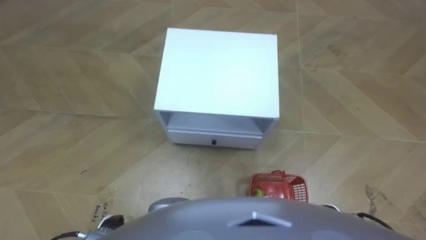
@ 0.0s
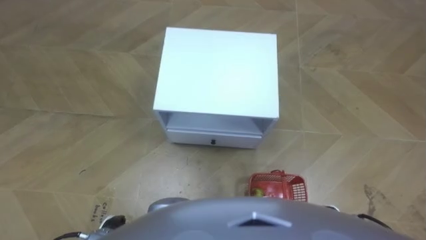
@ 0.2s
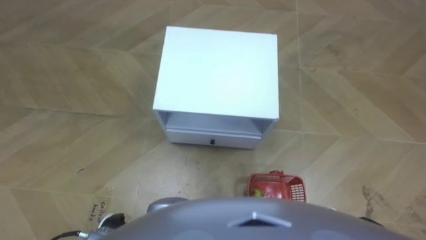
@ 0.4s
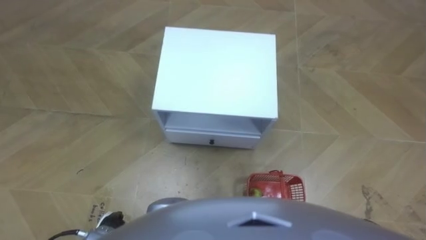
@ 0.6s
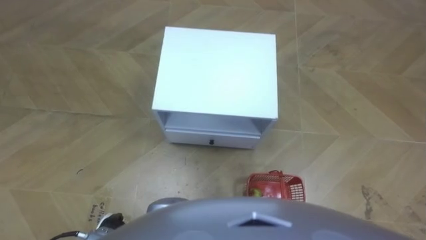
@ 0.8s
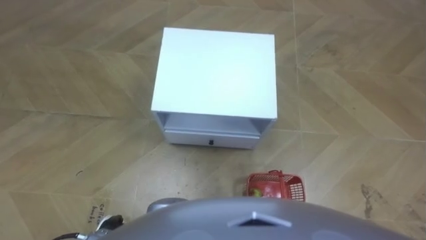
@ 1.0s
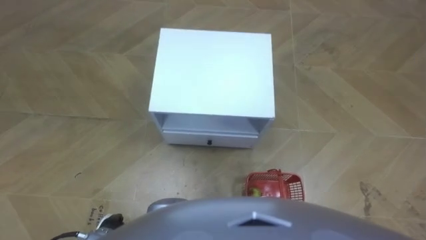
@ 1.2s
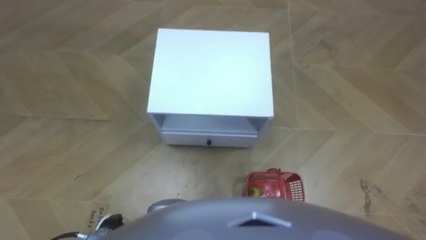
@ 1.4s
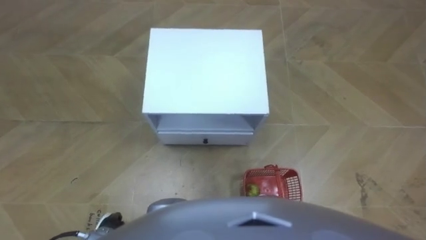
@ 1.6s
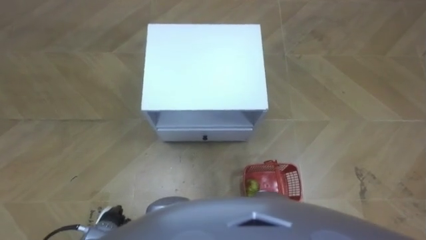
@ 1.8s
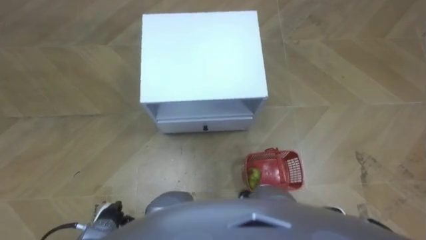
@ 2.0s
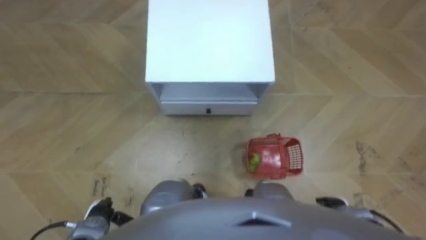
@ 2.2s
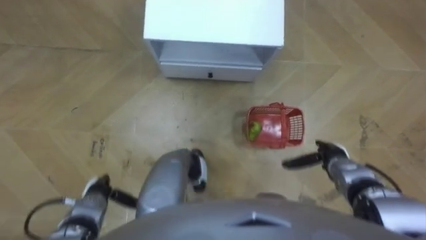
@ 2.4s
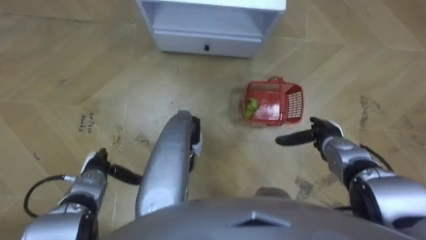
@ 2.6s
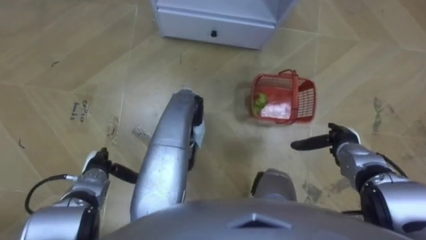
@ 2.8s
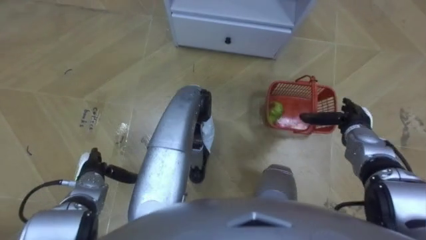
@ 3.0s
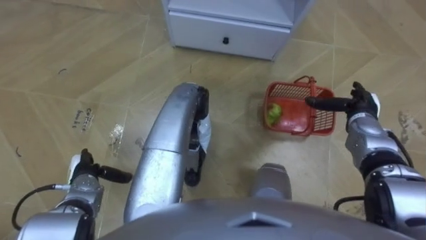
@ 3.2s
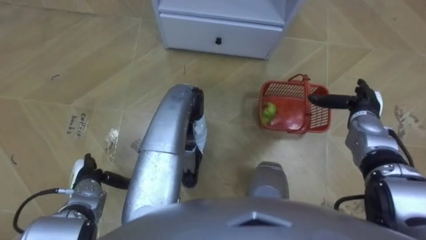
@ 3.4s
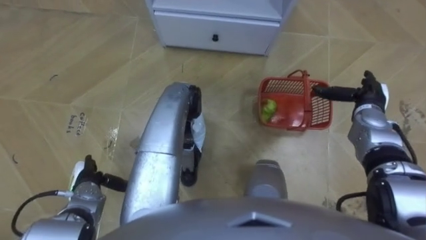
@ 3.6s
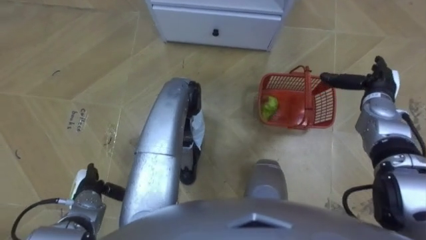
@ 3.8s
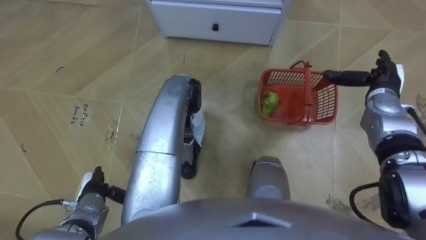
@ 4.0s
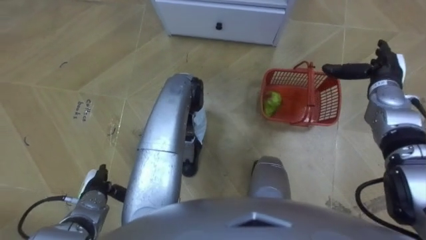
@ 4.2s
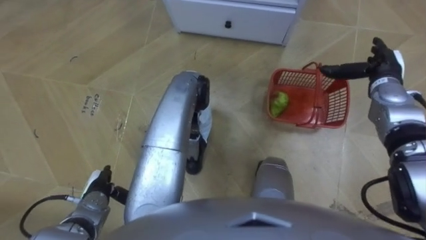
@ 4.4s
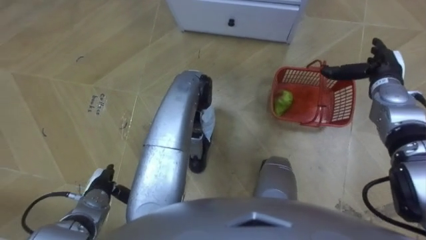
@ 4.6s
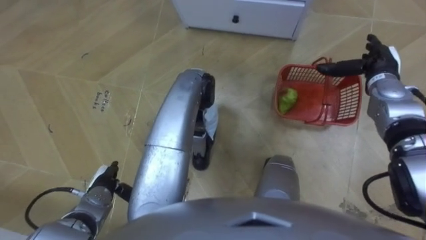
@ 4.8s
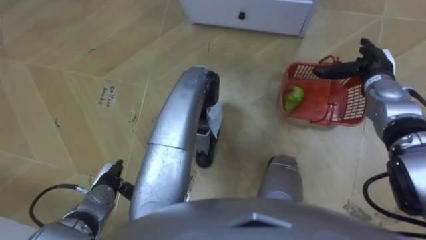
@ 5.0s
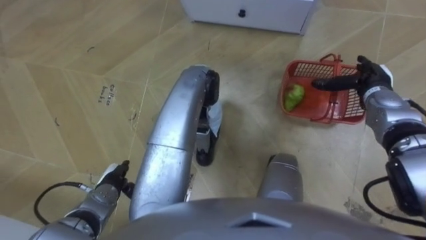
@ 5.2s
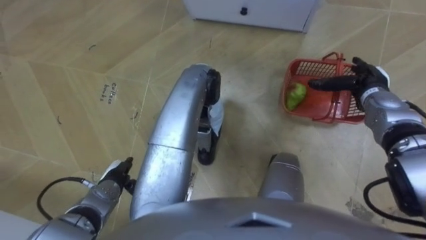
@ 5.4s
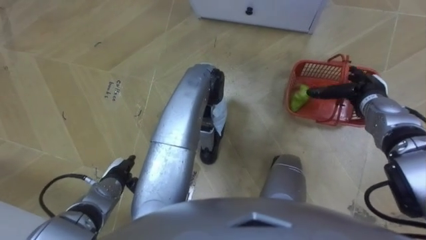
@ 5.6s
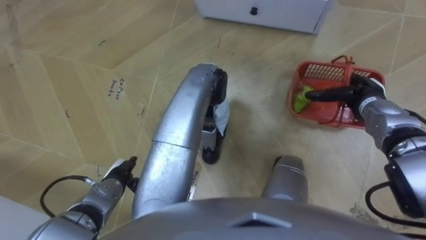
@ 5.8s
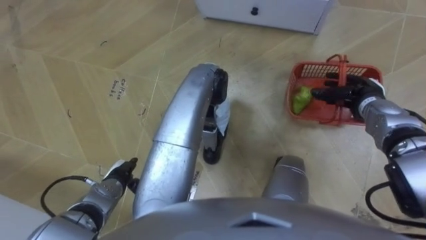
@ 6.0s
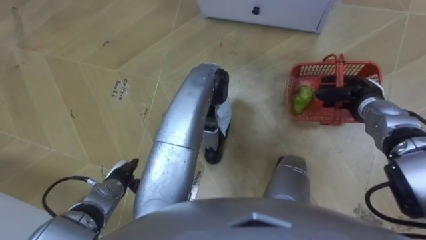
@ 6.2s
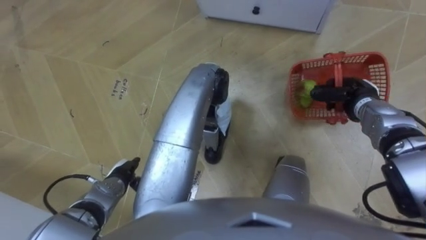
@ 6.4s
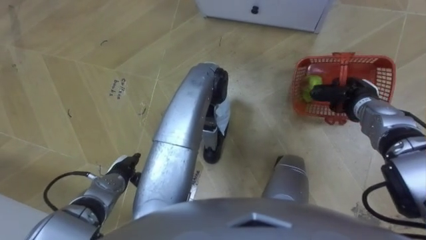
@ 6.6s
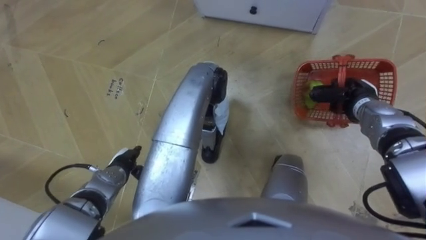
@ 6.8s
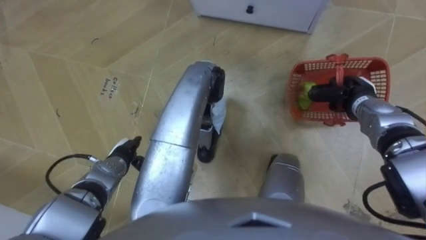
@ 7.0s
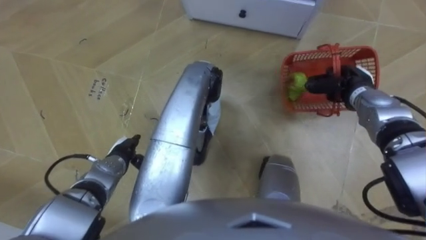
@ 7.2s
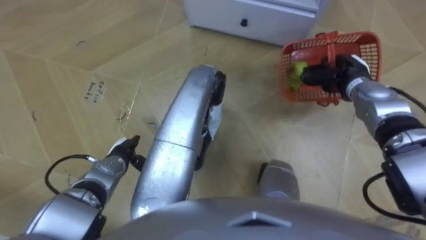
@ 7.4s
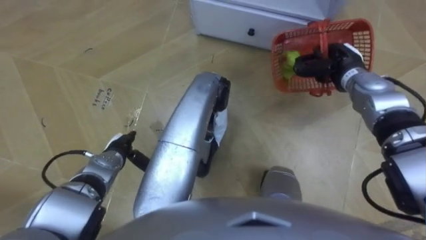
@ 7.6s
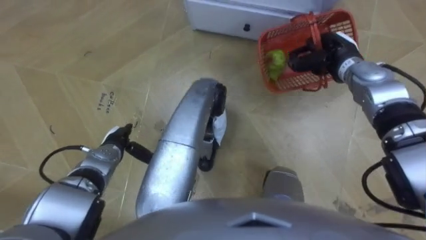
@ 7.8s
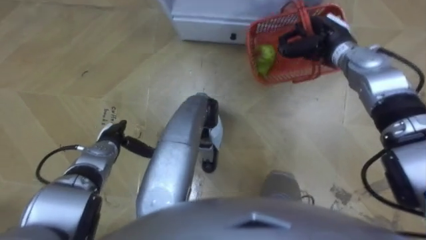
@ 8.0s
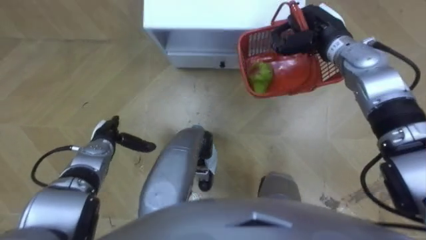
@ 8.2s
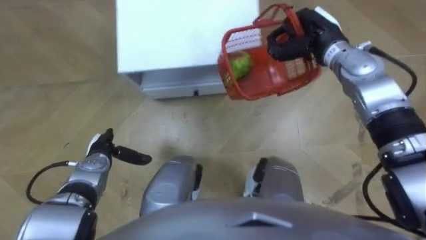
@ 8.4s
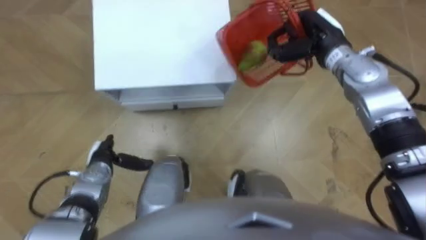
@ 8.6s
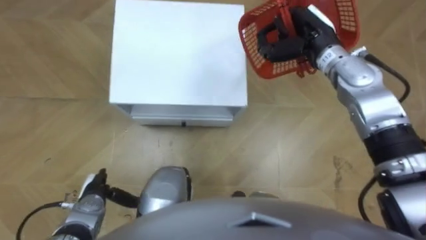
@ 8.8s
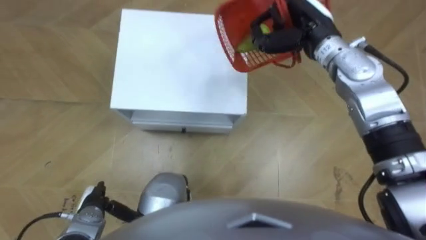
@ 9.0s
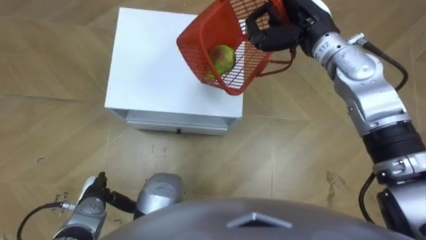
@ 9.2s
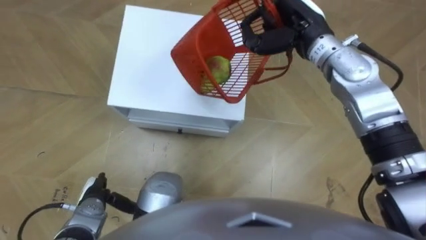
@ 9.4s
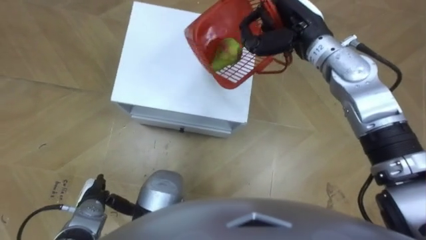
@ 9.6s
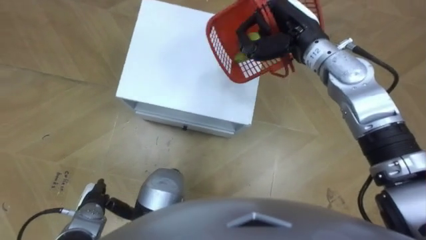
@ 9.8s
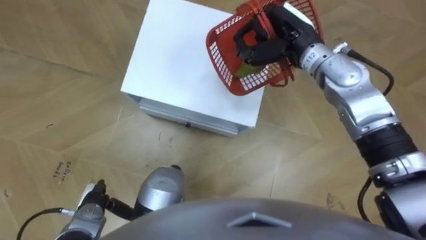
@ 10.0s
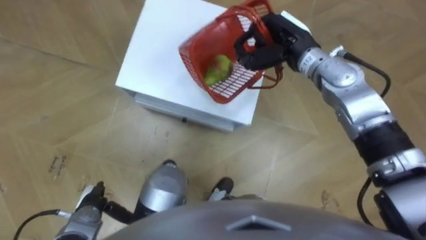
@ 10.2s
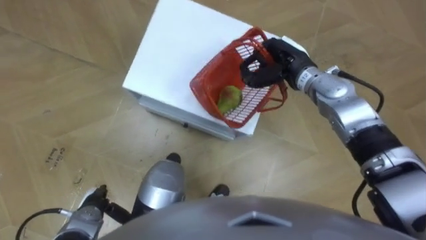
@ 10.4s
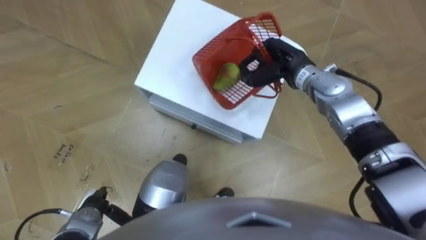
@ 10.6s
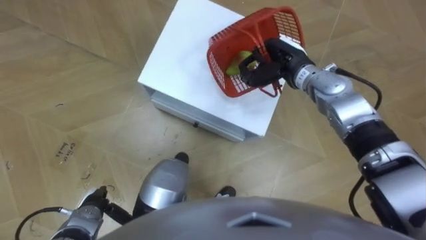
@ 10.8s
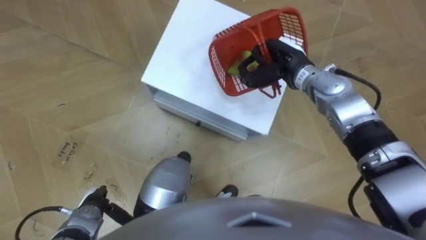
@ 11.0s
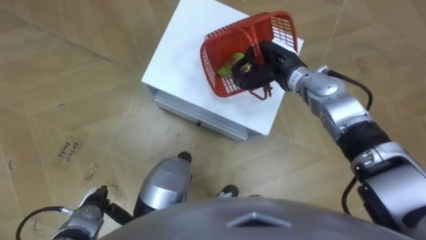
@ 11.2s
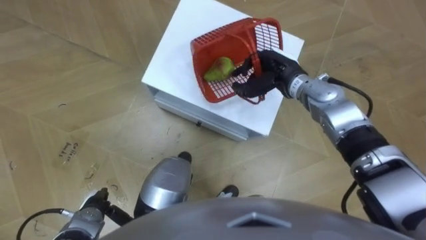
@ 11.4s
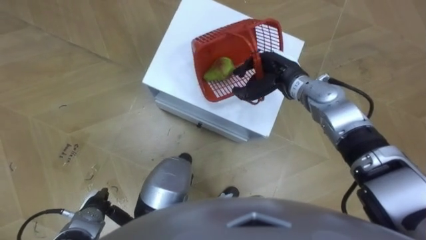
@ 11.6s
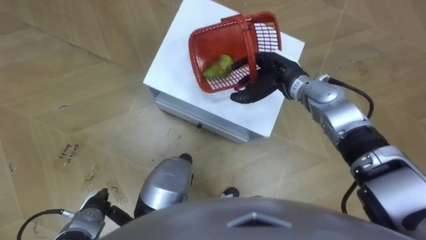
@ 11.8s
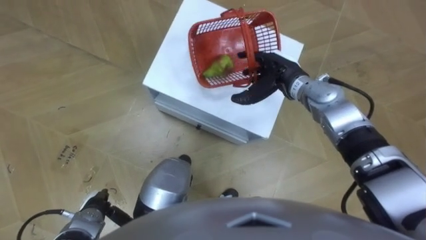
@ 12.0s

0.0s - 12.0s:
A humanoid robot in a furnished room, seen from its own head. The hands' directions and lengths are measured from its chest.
Task of the whole recording: Pick up the fruit basket from the floor and place it on the cabinet.
1.6s - 3.0s: The right hand travels forward by approximately 25 cm; the left hand shifts about 15 cm forward.
3.0s - 4.4s: The left hand changes place by about 5 cm, while the right hand goes approximately 10 cm forward and upward.
4.4s - 6.0s: The right hand ends up approximately 5 cm from where it was, and closes its fingers.
6.0s - 7.6s: The left hand goes some 5 cm forward. The right hand travels forward and to the left by about 10 cm, and closes up.
7.6s - 9.0s: The robot rotates some 15 degrees to its right. The left hand goes about 15 cm backward and to the left. The right hand is displaced upward and to the left by approximately 15 cm.
9.0s - 10.4s: The right hand goes roughly 5 cm downward.
10.4s - 12.0s: The right hand opens its fingers.

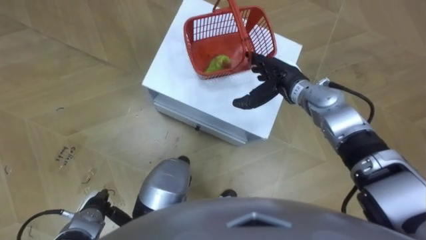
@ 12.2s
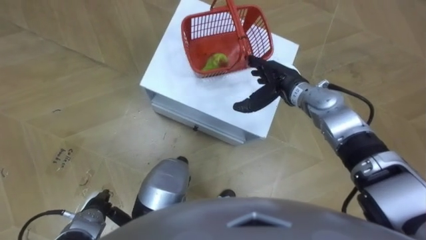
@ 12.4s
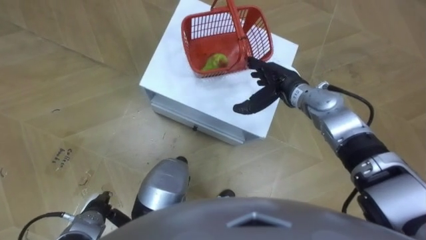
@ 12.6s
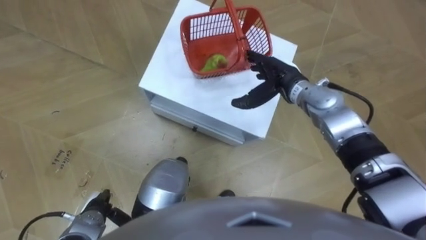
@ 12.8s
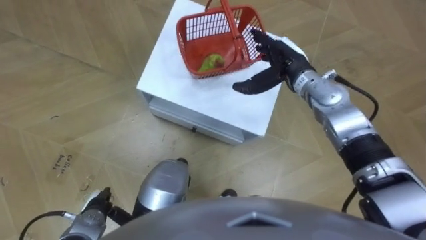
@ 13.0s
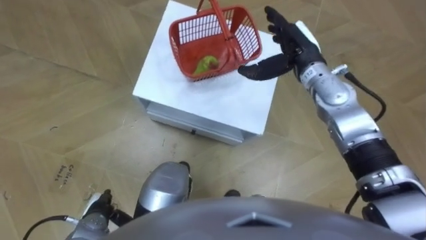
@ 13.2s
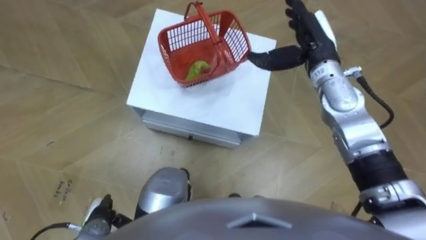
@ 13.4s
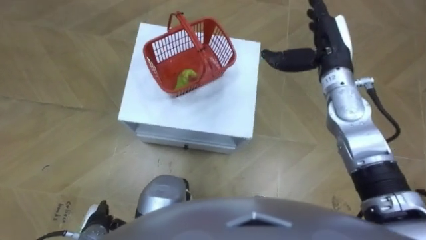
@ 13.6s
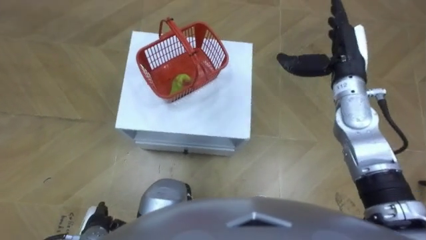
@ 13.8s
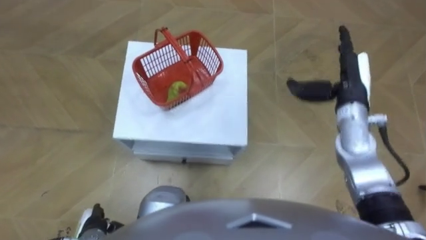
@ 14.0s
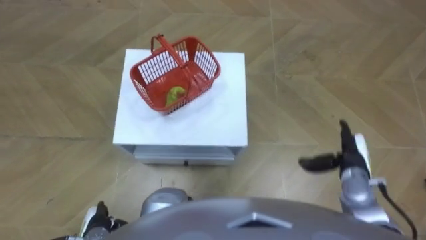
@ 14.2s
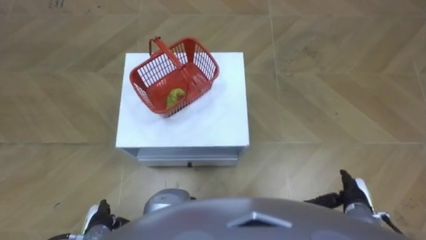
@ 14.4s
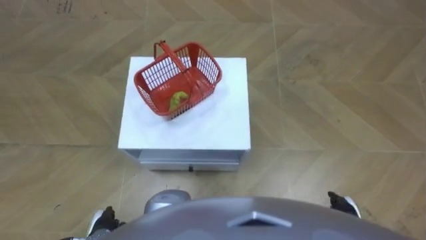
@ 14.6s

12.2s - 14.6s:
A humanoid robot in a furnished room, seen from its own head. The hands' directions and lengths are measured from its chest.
Task of the whole recording: Pick up the fruit basket from the floor and place it on the cabinet.
12.2s - 13.4s: The right hand is displaced upward by approximately 10 cm.
13.4s - 14.6s: The right hand is displaced backward and downward by about 40 cm.

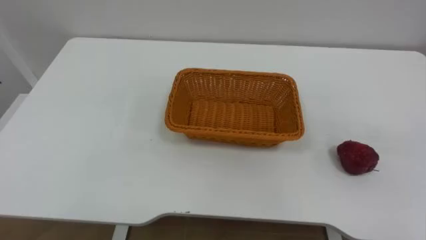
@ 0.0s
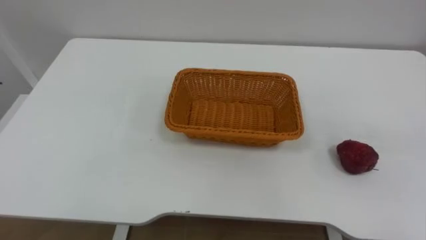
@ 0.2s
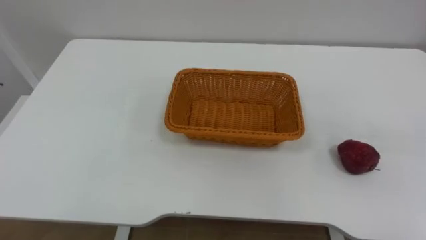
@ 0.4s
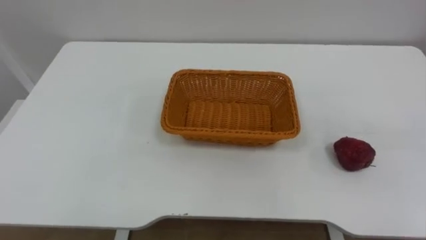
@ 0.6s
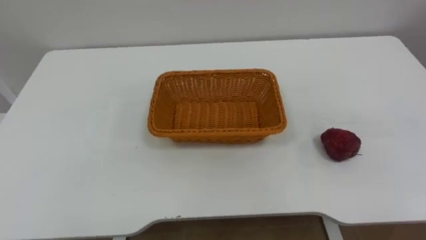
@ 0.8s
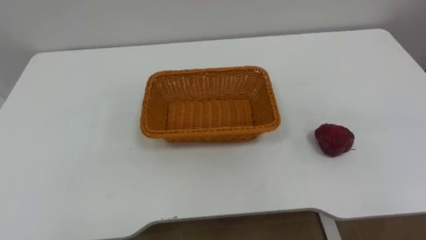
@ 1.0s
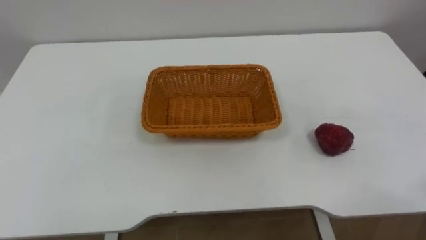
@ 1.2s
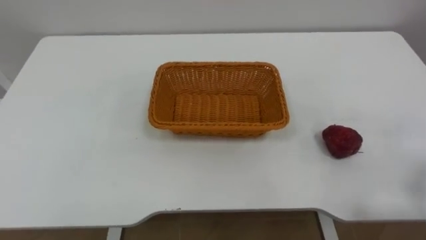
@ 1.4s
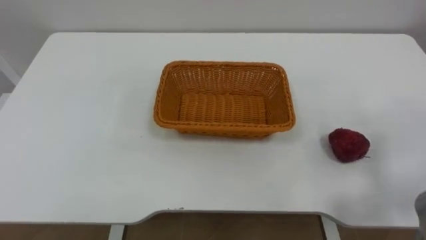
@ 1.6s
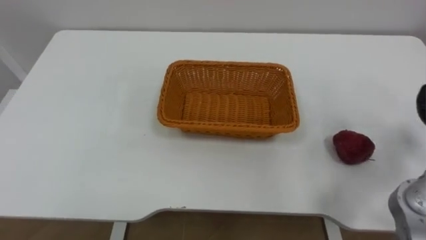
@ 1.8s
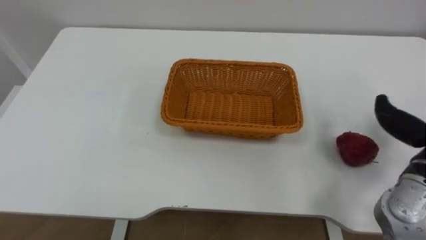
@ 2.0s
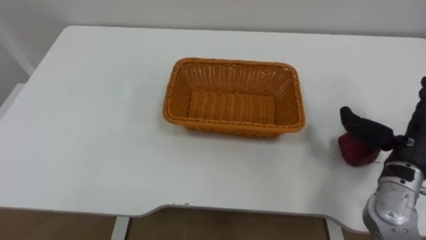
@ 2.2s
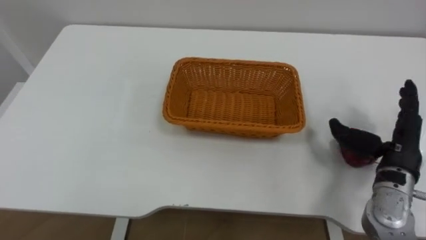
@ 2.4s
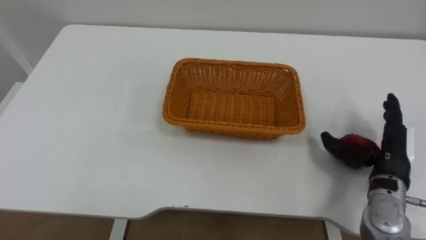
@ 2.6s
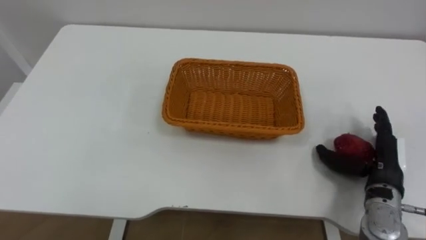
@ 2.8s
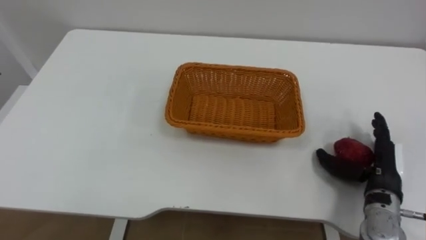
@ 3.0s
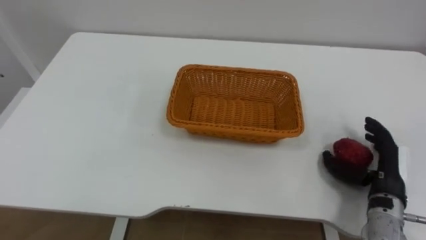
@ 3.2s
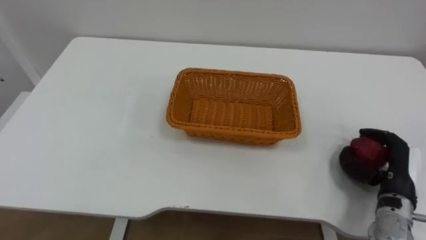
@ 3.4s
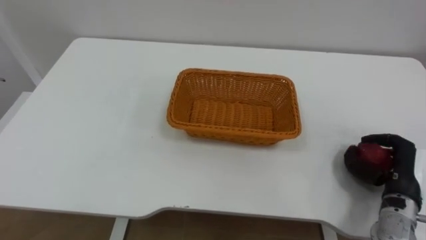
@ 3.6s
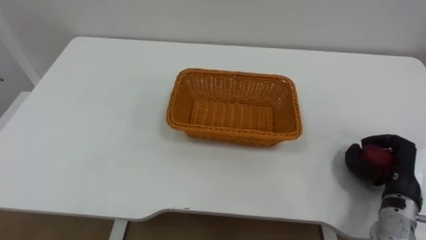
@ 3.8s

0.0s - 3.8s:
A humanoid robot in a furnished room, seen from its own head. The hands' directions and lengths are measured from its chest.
Task of the whole recording: Pick the apple and place it in the box.
2.6s - 3.8s: The right hand moves some 5 cm, and closes its fingers.
